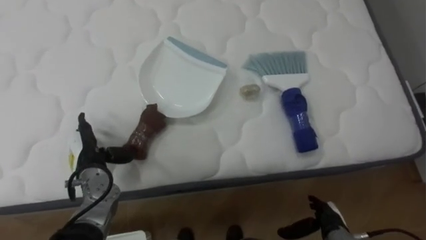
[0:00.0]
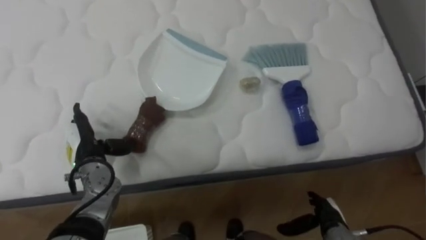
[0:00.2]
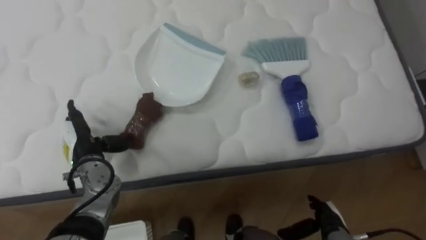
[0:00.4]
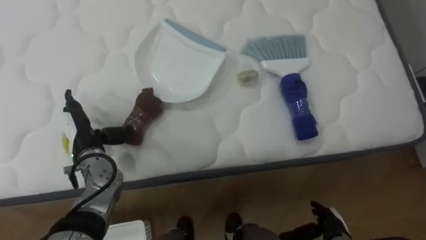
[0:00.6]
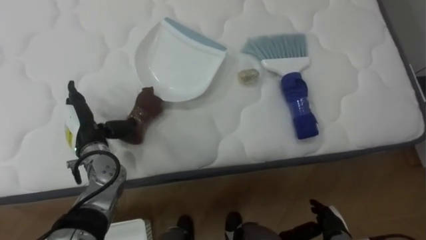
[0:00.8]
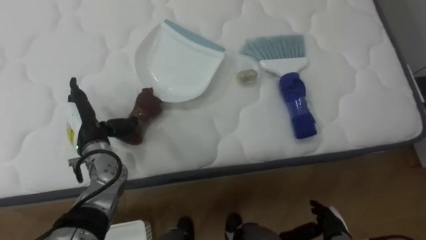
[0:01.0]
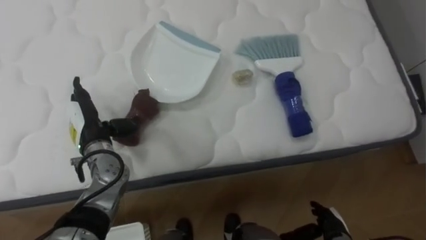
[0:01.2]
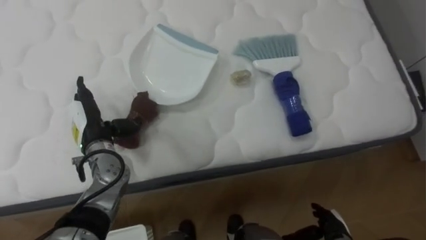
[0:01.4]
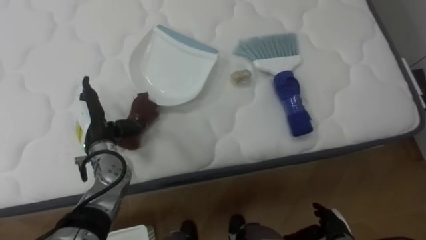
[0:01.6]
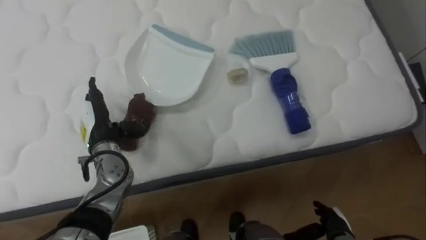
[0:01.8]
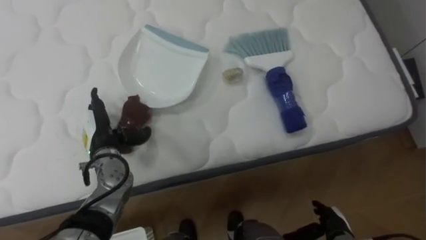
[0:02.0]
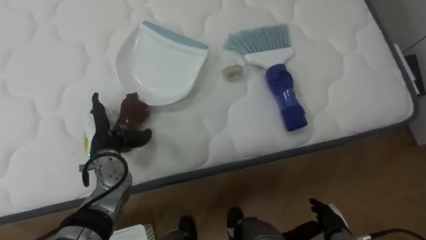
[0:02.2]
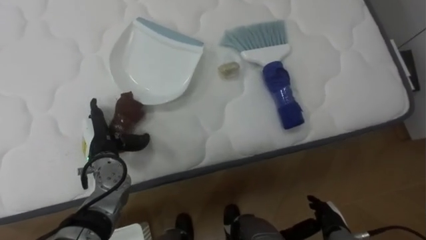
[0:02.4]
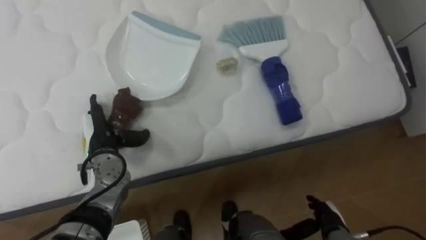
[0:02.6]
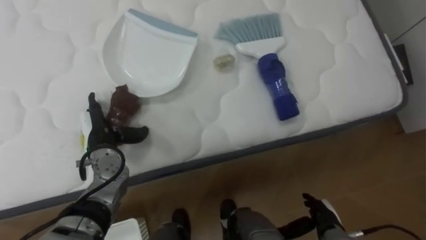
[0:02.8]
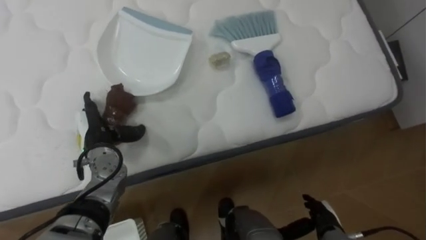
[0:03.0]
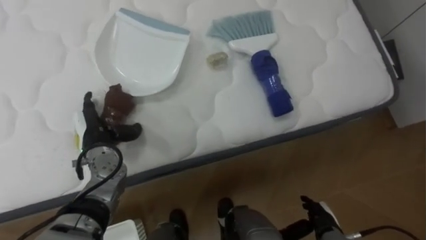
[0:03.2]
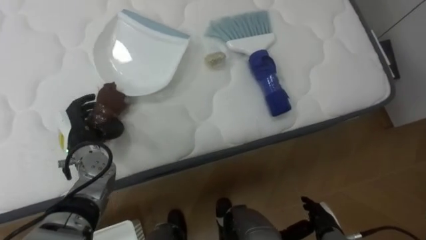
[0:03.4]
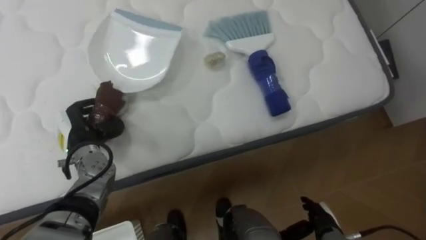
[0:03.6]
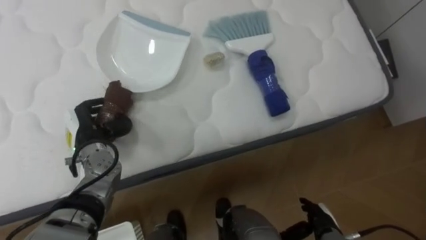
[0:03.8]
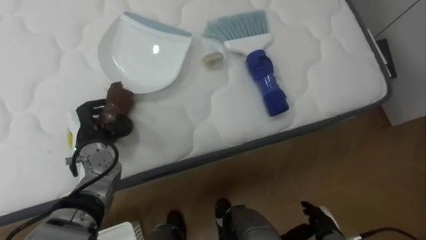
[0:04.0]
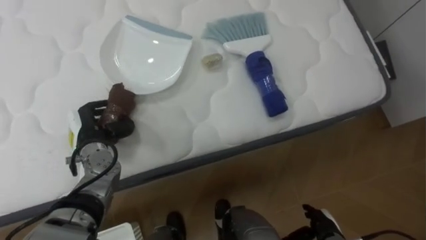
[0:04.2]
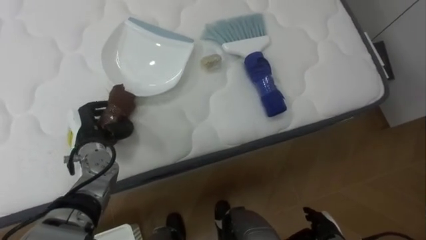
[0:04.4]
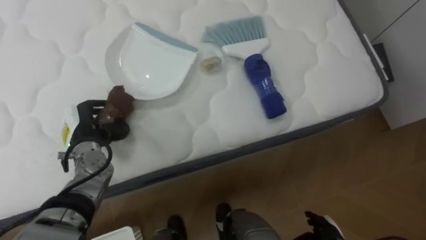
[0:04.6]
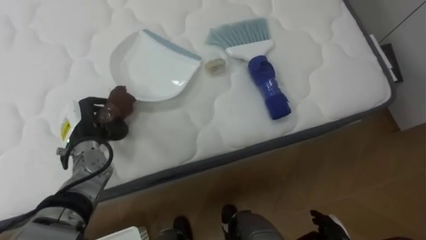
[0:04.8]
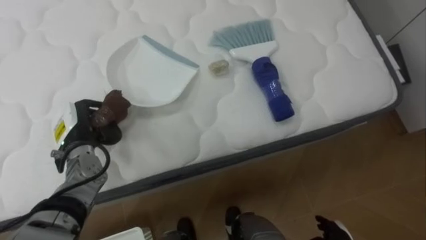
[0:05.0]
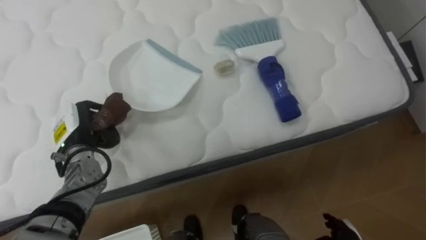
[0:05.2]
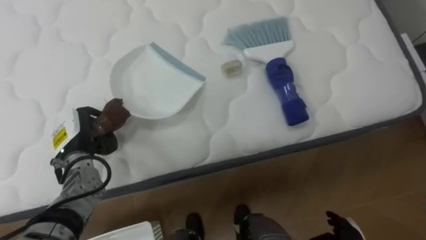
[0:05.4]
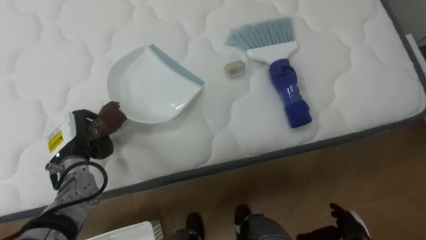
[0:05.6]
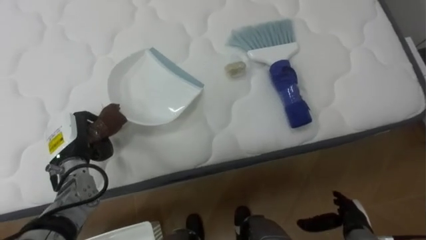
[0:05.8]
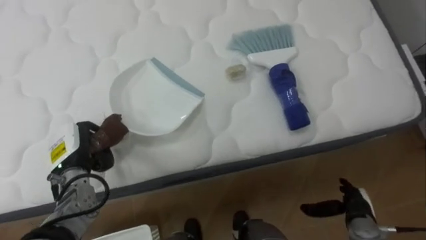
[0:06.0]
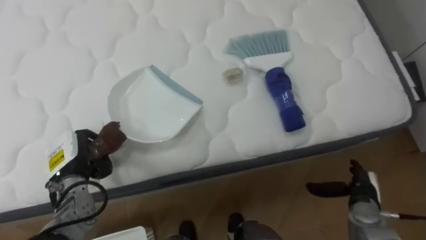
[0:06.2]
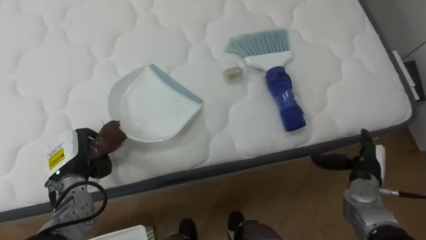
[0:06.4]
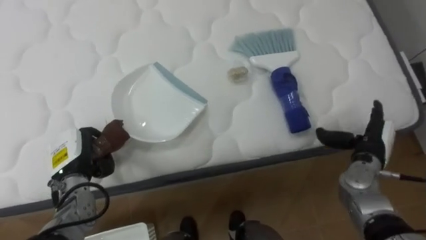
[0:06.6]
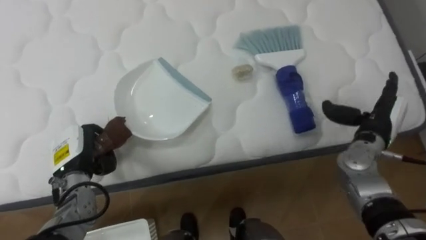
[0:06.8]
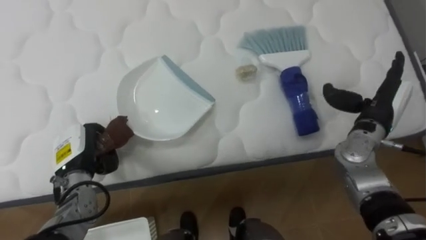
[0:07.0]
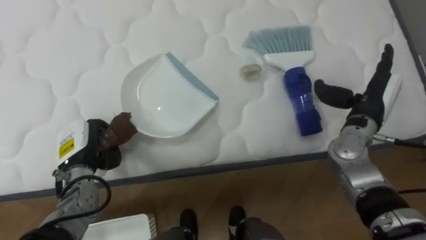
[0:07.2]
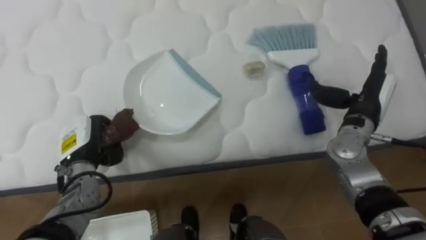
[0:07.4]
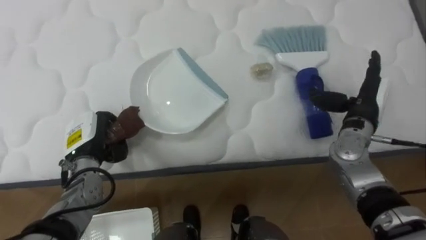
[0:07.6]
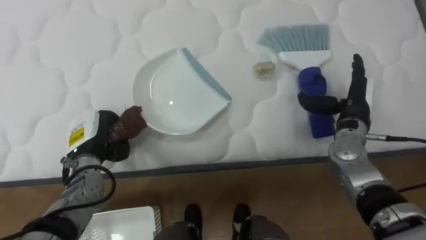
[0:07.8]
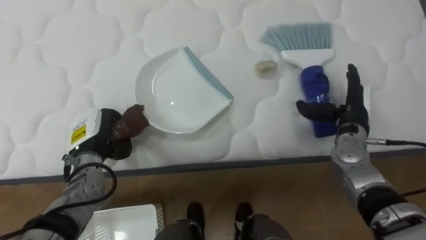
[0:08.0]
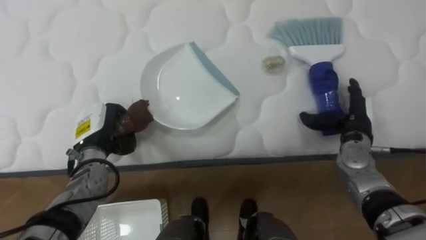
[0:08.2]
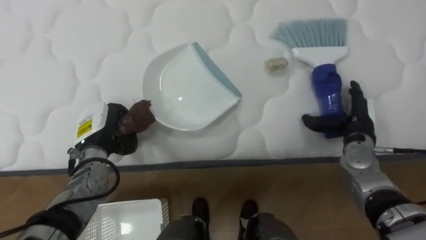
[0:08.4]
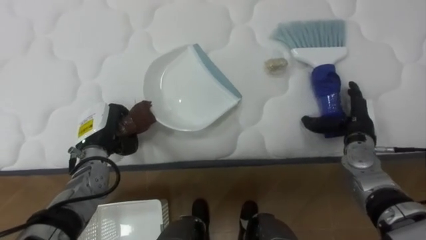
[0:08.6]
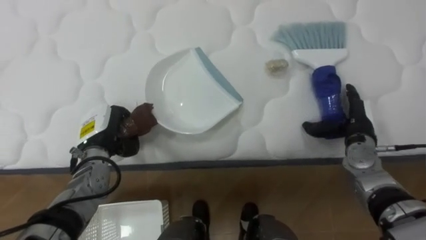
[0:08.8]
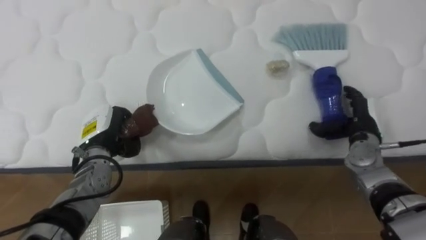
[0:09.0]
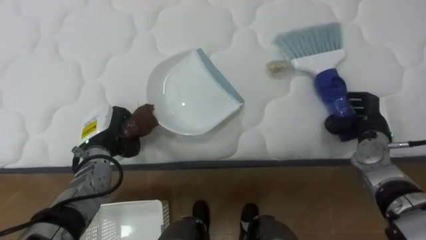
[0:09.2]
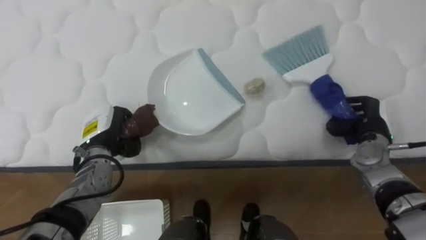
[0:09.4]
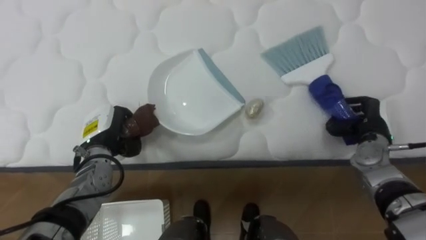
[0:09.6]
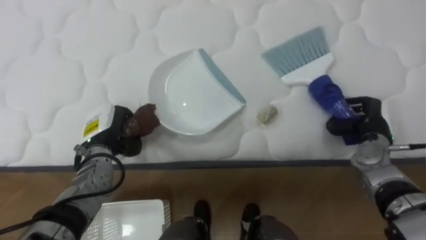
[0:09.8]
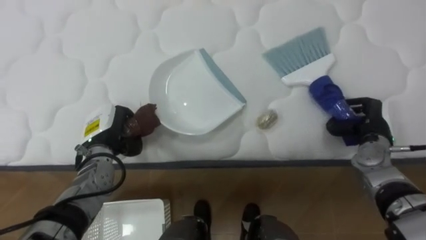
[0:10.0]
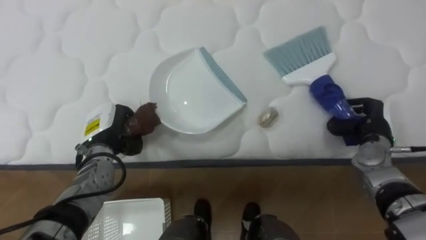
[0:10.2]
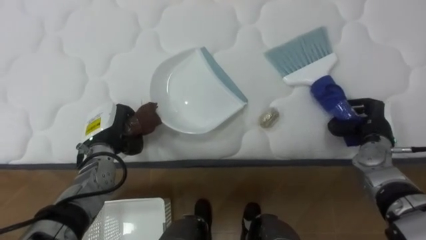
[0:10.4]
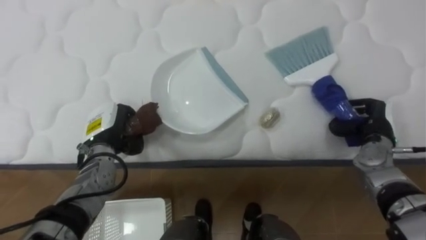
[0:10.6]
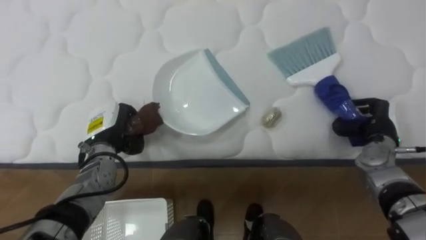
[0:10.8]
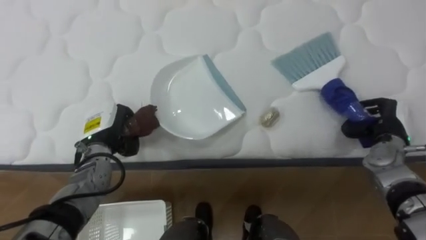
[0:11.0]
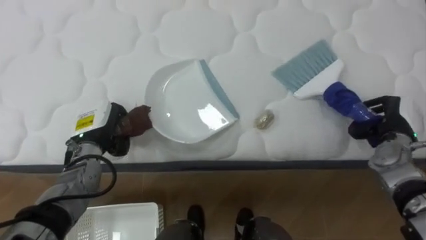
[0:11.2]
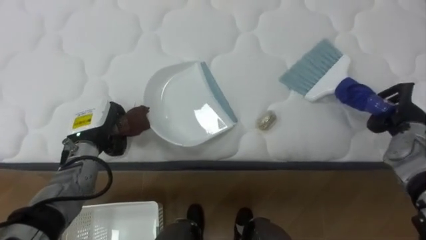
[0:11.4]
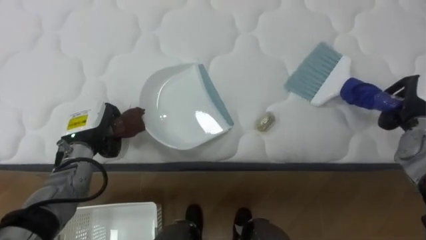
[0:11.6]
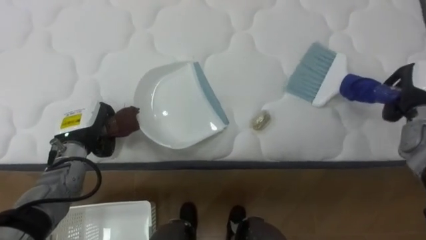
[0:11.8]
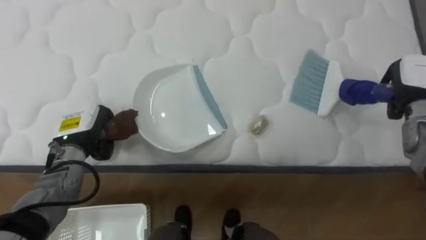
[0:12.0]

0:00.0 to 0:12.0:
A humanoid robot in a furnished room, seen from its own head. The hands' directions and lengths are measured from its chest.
Task of the whole recording: Pick up the brush on your right and the dustpan on your left. Use the brush to sweep the crumpled paper on the bed into the dustpan, then turn left and empty it into the basket.
0:00.0 to 0:01.6: The left hand moves upward, approximately 5 cm.
0:03.0 to 0:04.4: The left hand closes.
0:06.0 to 0:07.6: The right hand goes approximately 25 cm upward and forward.
0:07.6 to 0:09.0: The right hand travels downward by roughly 5 cm.
0:09.0 to 0:10.4: The right hand closes.
0:10.4 to 0:12.0: The right hand shifts approximately 10 cm upward.

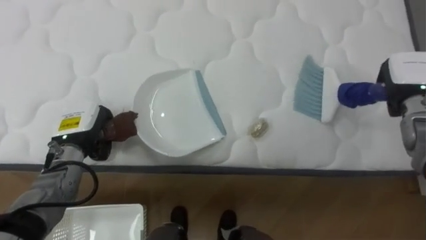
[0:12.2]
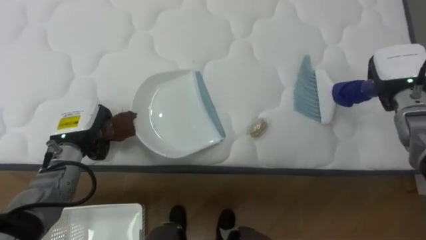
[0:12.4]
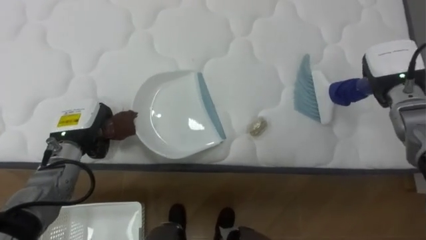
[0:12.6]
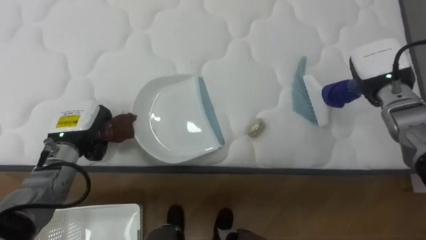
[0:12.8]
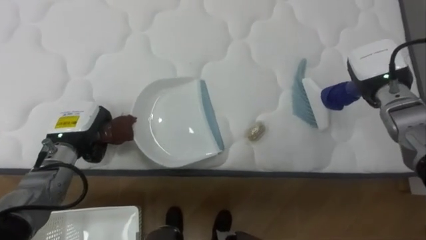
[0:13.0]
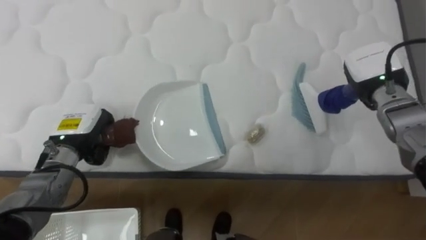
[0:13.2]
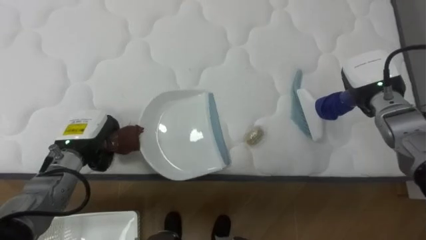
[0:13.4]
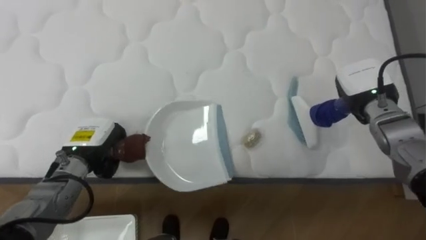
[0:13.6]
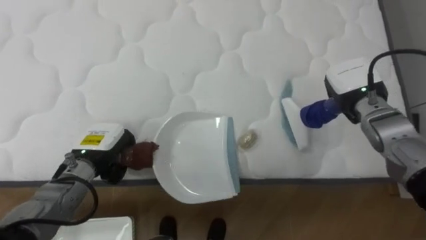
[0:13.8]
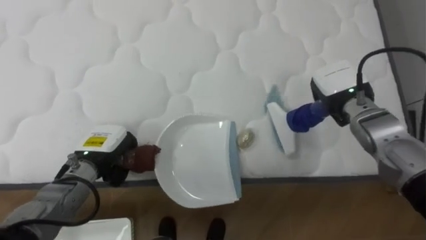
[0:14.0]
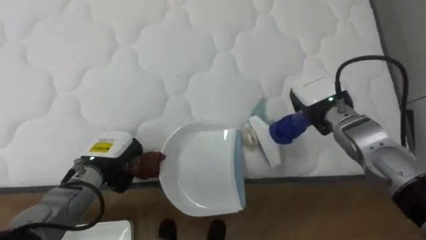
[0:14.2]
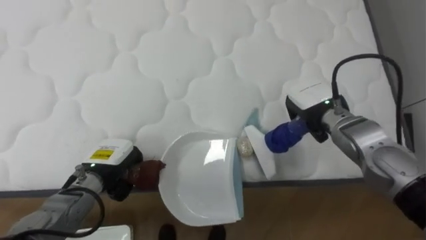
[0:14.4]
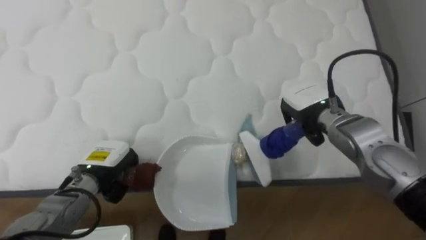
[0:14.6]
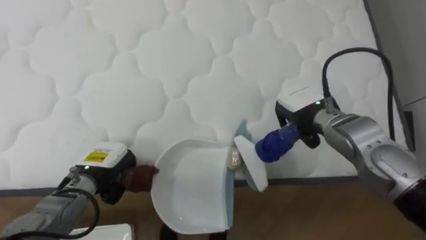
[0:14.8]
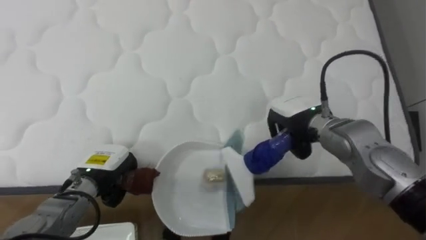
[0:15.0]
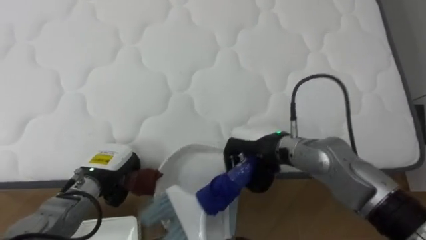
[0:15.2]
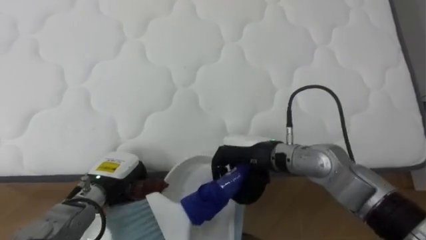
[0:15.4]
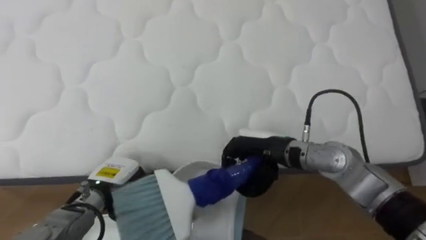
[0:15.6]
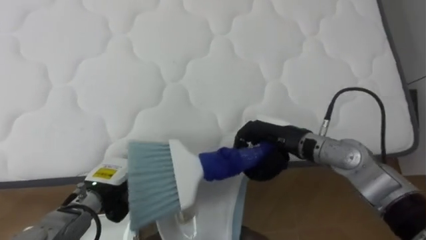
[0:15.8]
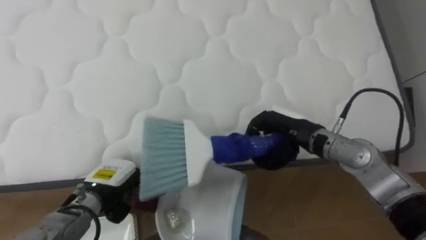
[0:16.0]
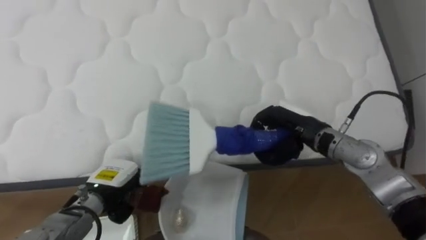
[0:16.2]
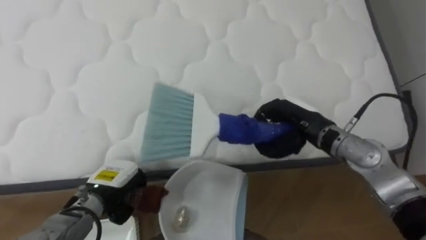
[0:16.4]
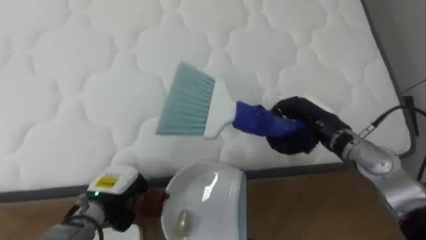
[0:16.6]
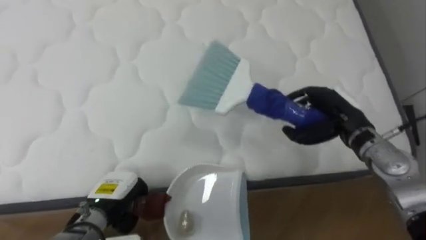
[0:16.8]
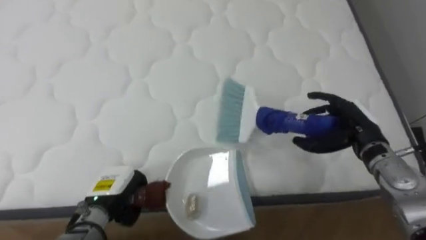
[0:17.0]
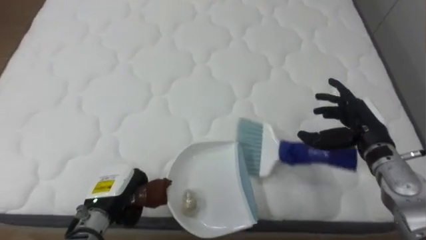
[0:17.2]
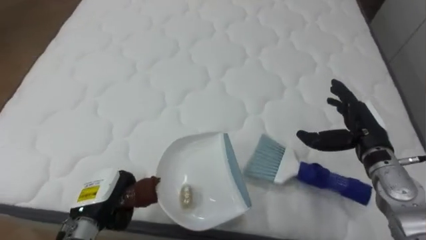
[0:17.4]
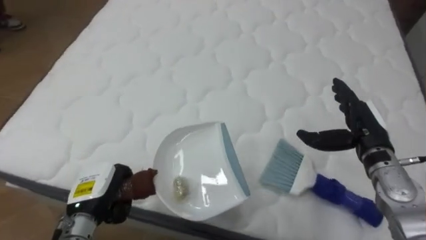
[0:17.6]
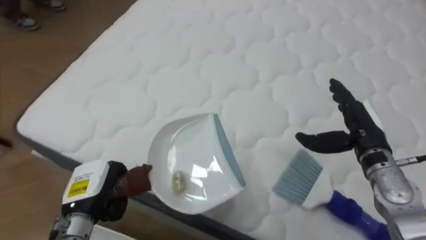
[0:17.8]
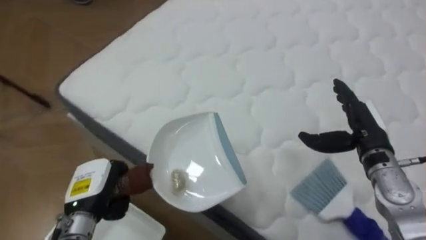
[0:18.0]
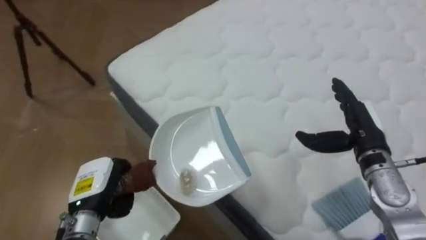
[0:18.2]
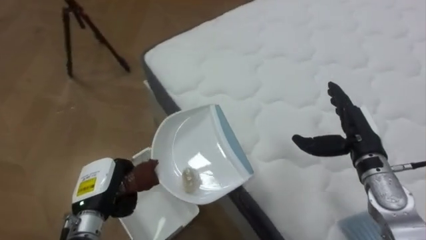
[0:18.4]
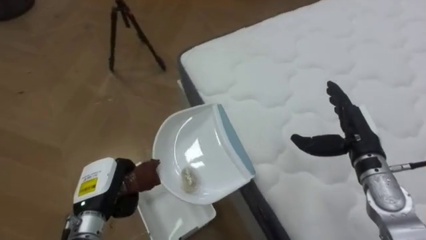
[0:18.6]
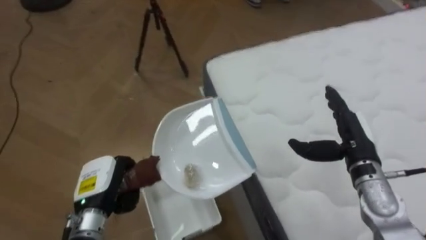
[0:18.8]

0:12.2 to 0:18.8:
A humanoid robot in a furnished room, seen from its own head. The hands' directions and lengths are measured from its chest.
Task of the whole recording: Pick up the brush on your right and the dustpan on your left. Use the brush to sweep the crumpled paper on the bed into the dustpan, then turn left and empty it into the basket.
0:12.2 to 0:13.8: The right hand shifts about 10 cm to the left.
0:13.8 to 0:15.4: The left hand changes place by some 5 cm, while the right hand goes about 25 cm to the left and backward.
0:15.4 to 0:17.2: The right hand heads to the right, covering roughly 20 cm, and opens up.
0:17.2 to 0:18.8: The robot faces roughly 60 degrees further to its left.
